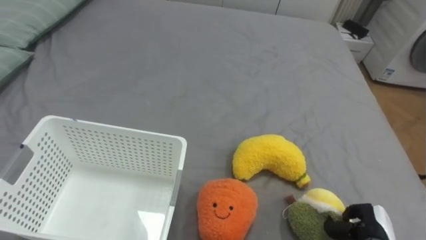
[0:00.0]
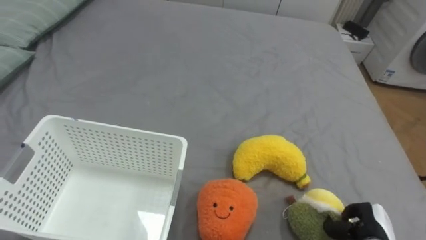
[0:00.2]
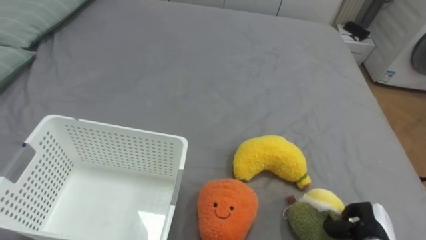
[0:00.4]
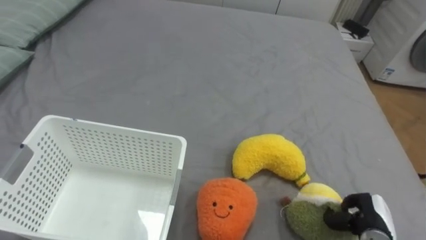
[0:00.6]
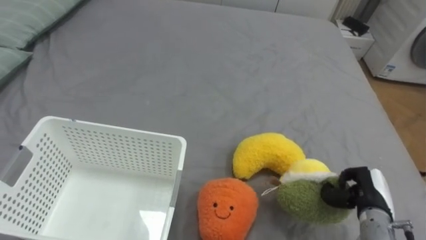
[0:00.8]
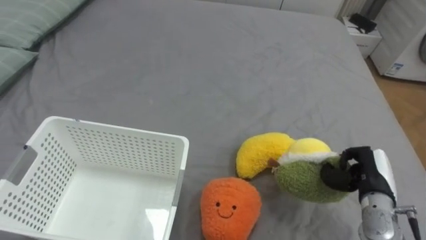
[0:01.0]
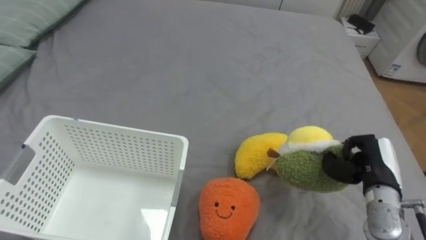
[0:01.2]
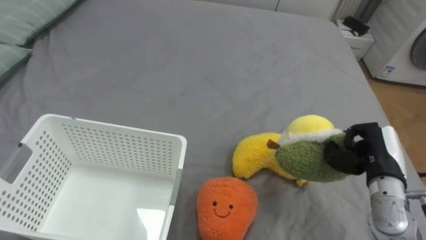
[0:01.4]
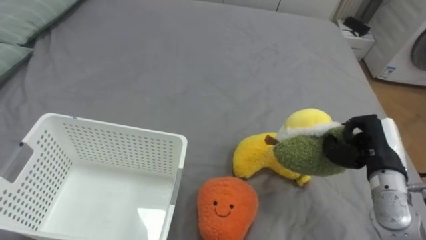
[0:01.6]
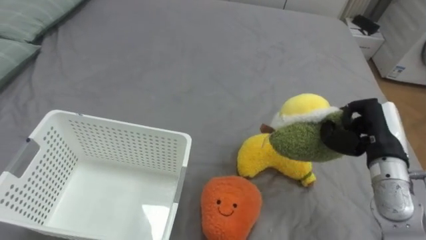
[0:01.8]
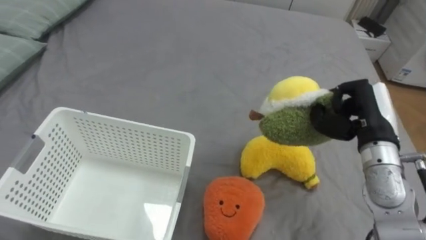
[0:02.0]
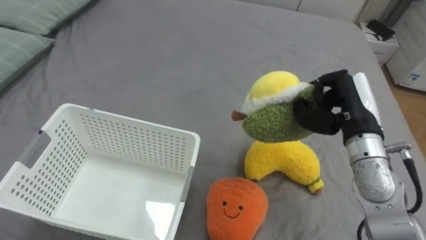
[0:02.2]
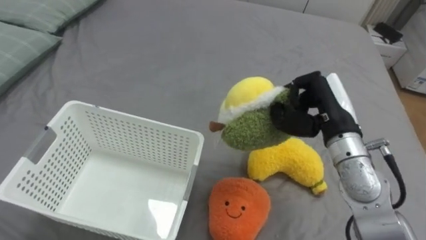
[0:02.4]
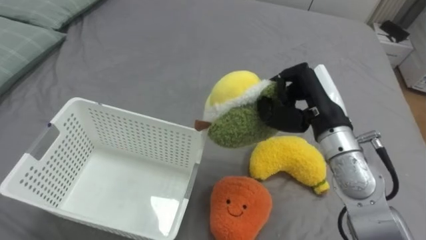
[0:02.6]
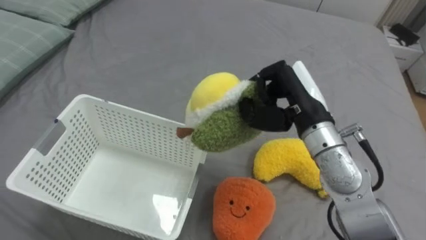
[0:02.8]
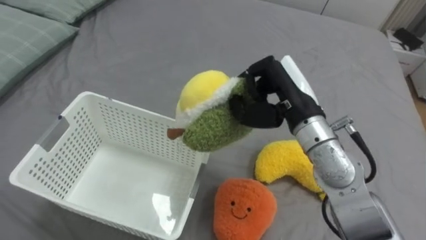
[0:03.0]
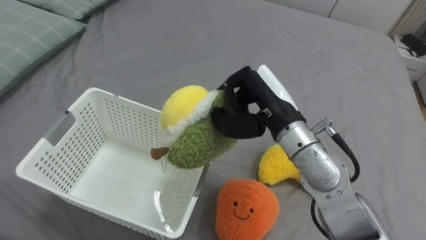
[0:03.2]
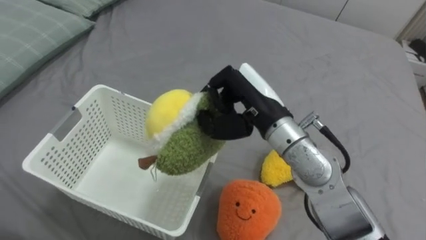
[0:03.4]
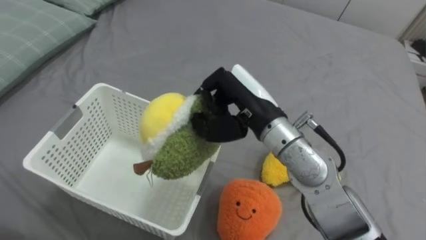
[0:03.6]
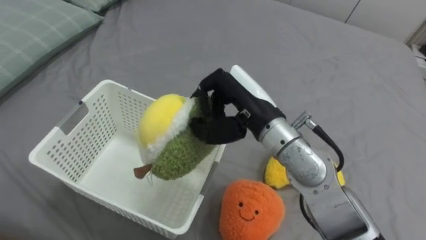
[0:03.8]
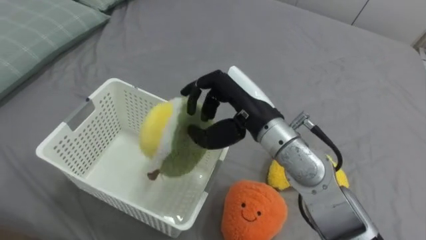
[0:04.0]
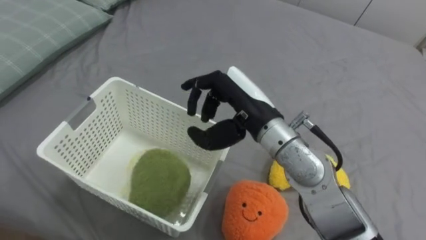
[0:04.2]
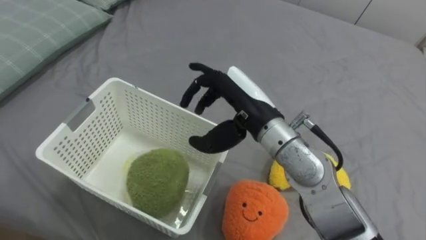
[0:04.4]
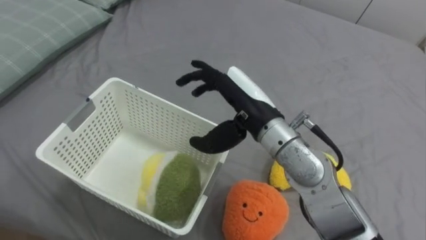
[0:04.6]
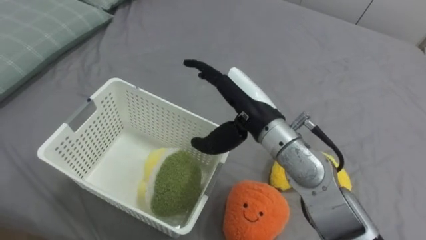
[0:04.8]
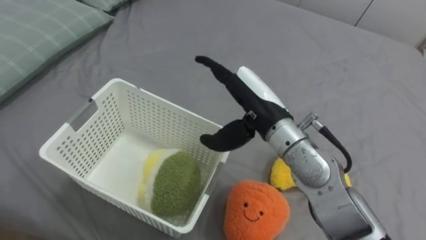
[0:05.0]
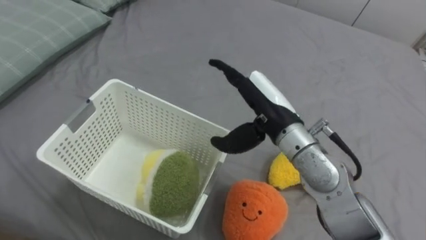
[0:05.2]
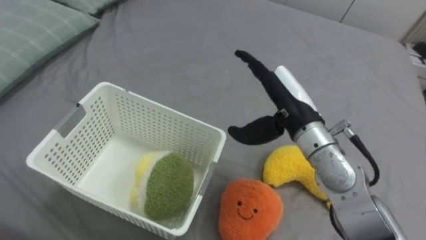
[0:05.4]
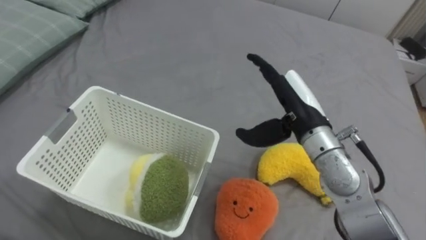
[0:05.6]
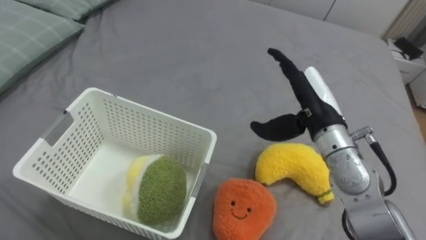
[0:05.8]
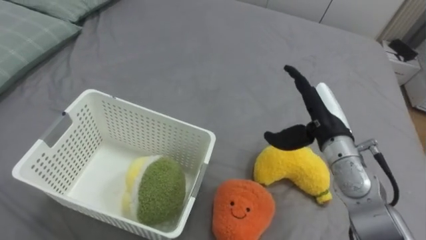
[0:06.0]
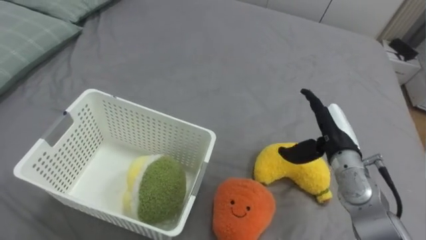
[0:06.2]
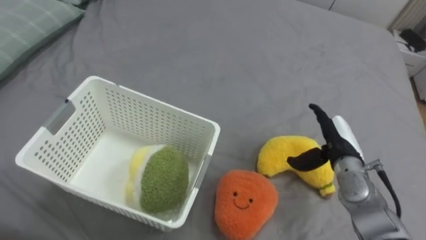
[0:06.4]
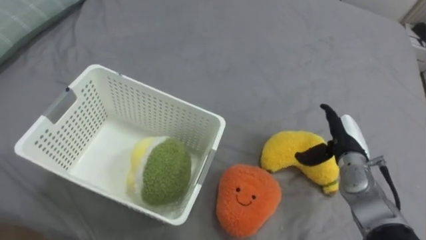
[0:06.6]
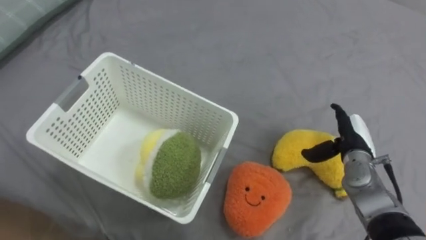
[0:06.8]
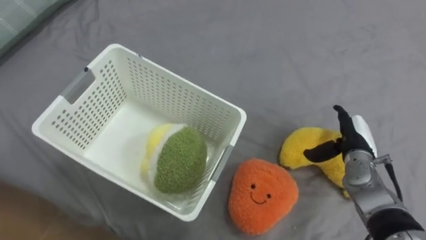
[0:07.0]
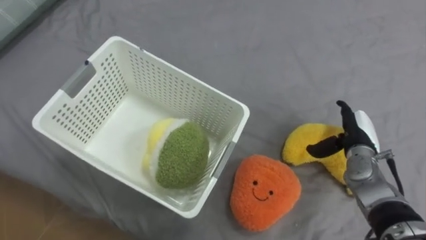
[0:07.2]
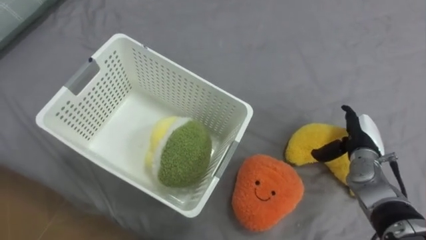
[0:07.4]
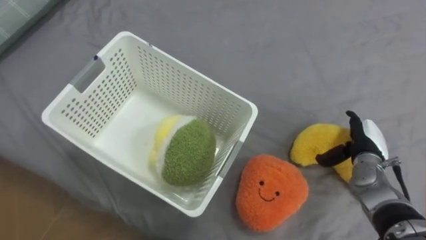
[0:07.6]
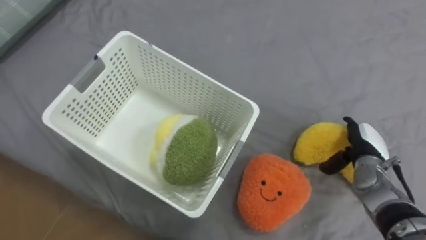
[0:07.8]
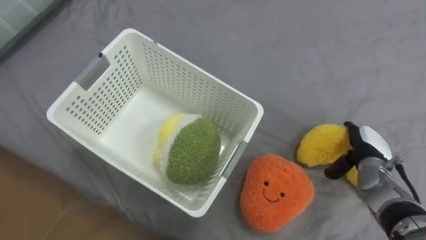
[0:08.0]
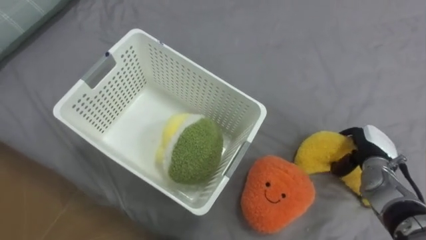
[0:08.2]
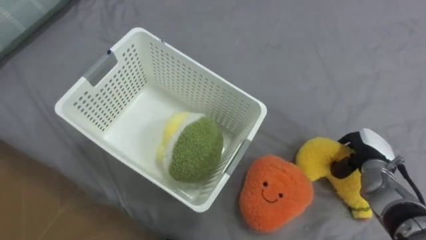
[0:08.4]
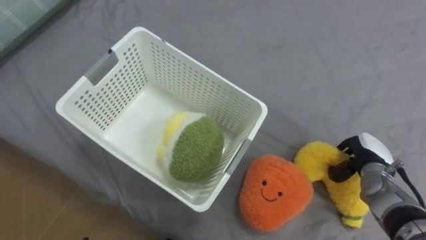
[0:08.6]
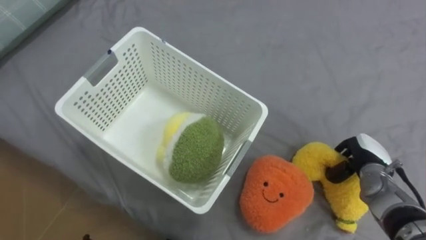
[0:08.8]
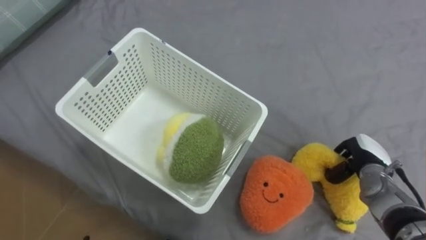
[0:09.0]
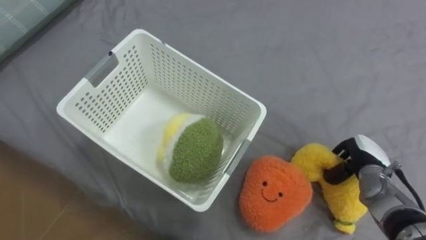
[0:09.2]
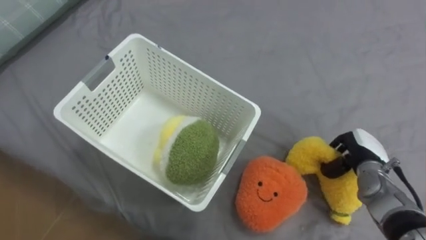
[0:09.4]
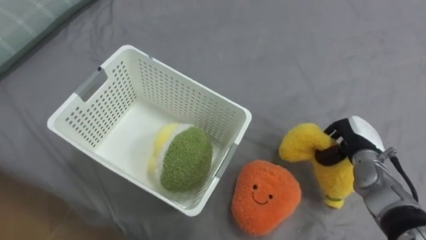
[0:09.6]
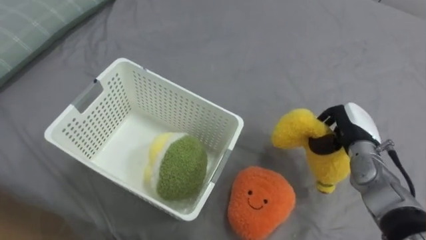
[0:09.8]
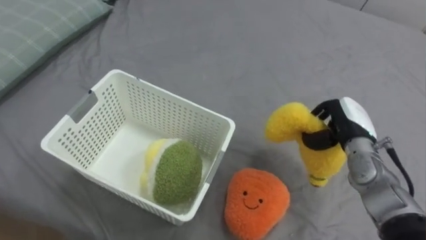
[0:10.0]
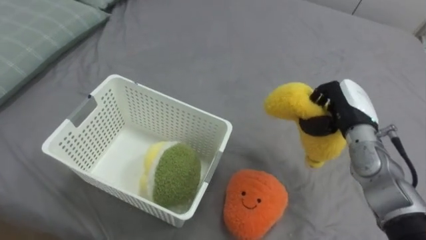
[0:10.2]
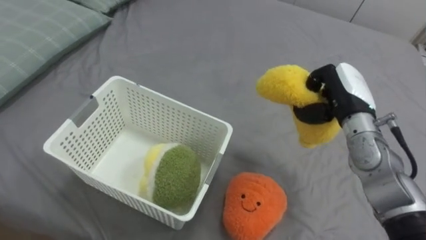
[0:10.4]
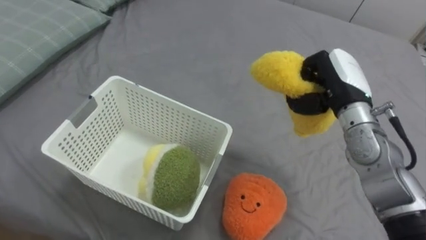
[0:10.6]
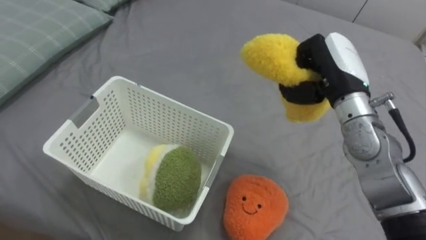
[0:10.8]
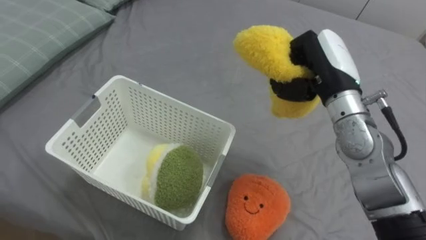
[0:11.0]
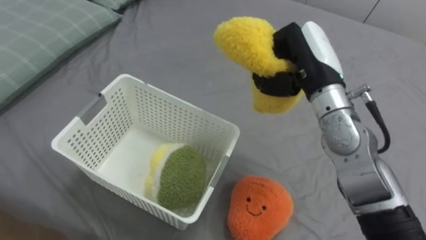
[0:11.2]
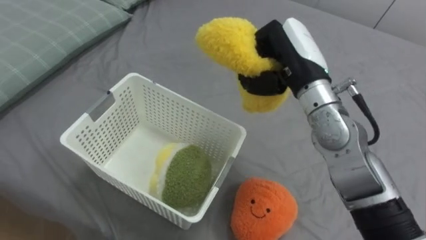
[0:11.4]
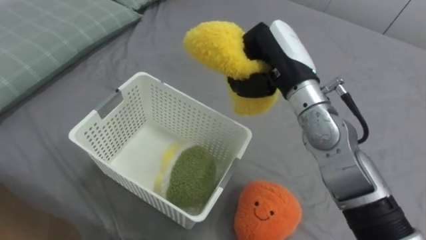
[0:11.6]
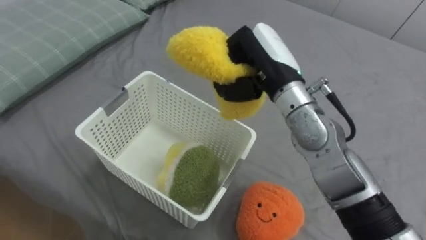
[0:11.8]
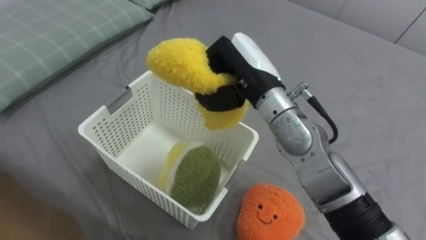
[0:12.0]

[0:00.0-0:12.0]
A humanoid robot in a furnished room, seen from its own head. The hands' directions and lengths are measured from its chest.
Task of the whole recording: Put the toys on the bed into the basket on the left.
0:00.0 to 0:01.6: The right hand shifts some 20 cm upward and forward.
0:01.6 to 0:03.0: The right hand moves to the left and upward, some 20 cm.
0:03.0 to 0:04.4: The right hand travels to the left by about 5 cm, and opens.
0:04.4 to 0:06.0: The right hand moves to the right, about 15 cm.
0:06.0 to 0:07.6: The right hand goes some 15 cm downward and to the right.
0:07.6 to 0:09.0: The right hand closes.
0:09.0 to 0:10.4: The right hand moves upward and to the left, approximately 15 cm.
0:10.4 to 0:12.0: The right hand shifts roughly 20 cm to the left and upward.

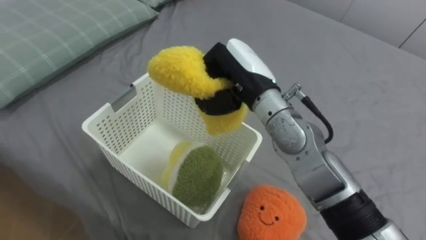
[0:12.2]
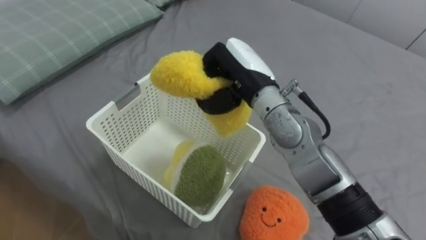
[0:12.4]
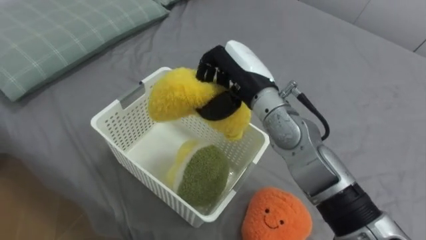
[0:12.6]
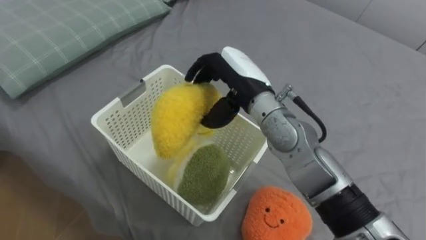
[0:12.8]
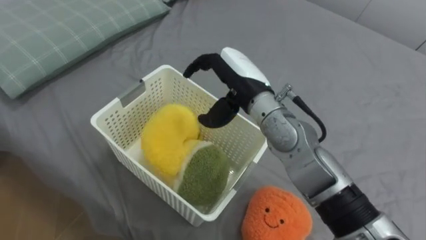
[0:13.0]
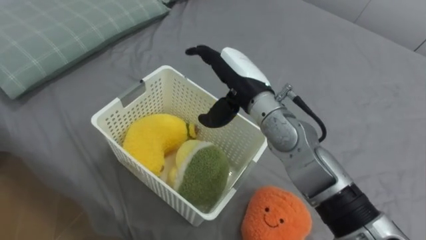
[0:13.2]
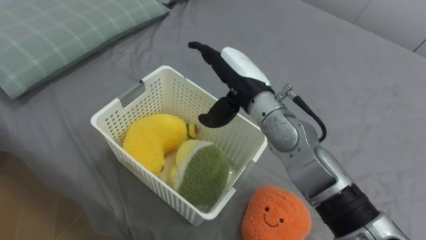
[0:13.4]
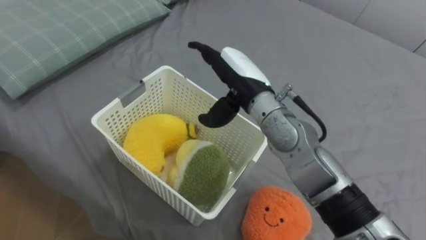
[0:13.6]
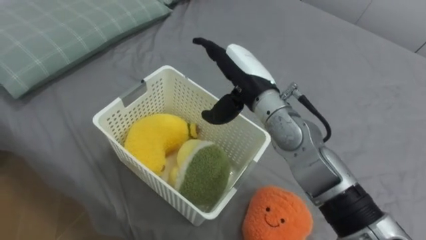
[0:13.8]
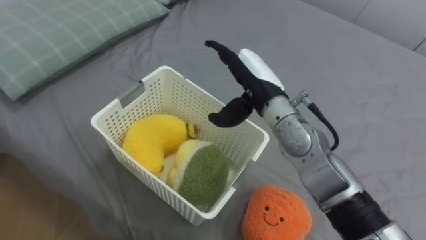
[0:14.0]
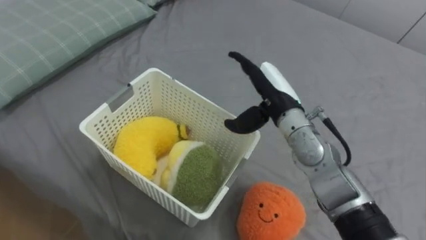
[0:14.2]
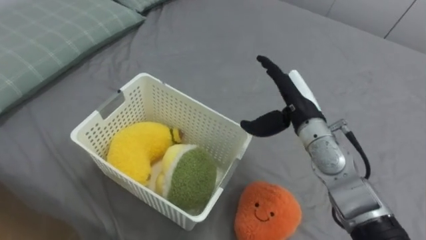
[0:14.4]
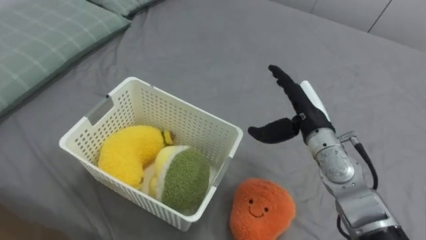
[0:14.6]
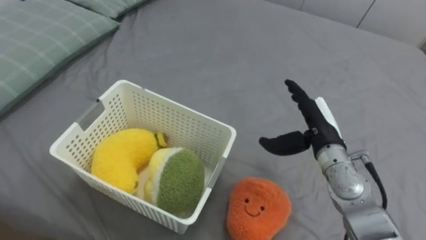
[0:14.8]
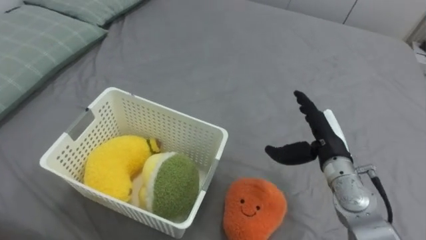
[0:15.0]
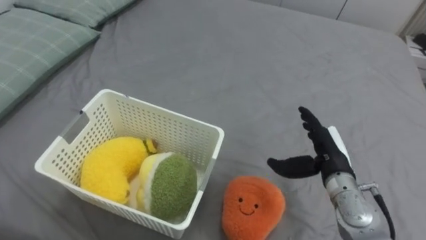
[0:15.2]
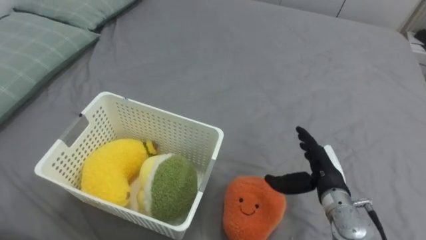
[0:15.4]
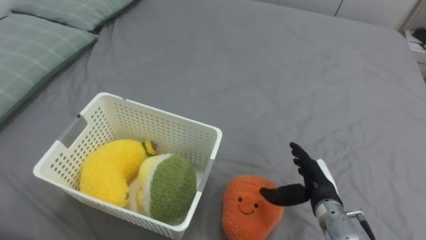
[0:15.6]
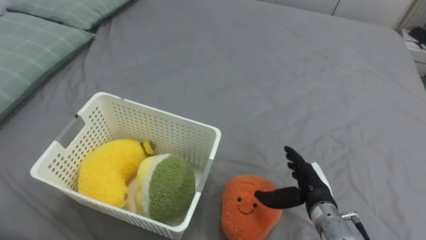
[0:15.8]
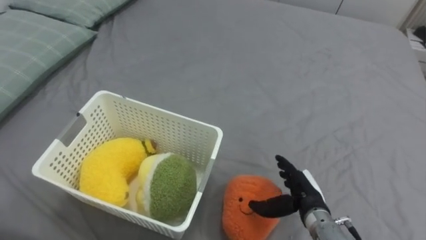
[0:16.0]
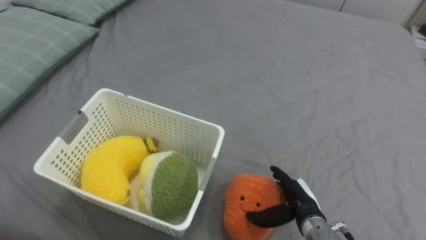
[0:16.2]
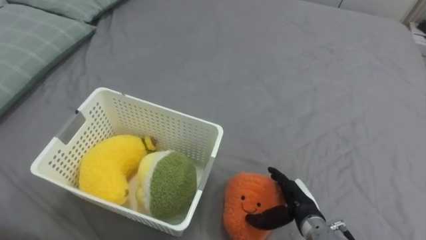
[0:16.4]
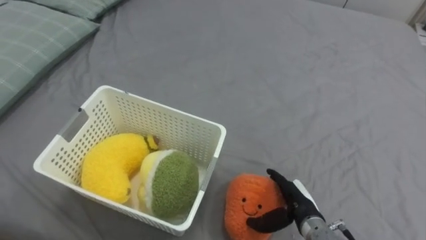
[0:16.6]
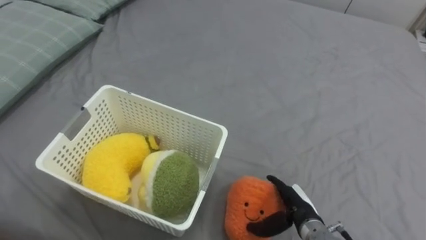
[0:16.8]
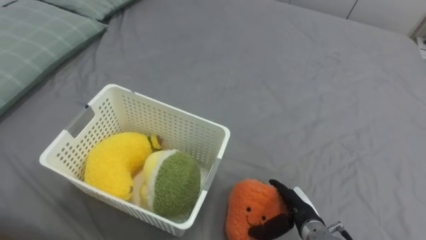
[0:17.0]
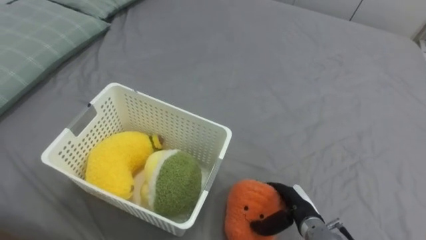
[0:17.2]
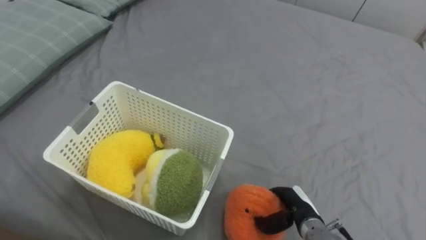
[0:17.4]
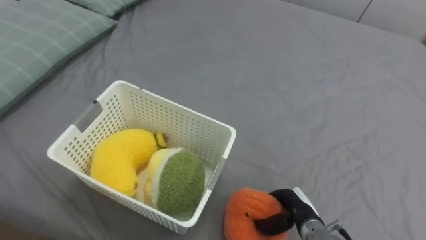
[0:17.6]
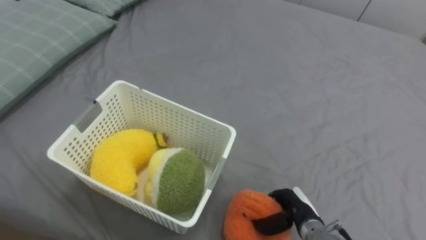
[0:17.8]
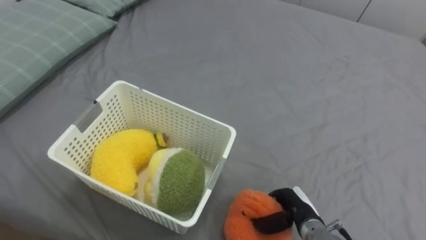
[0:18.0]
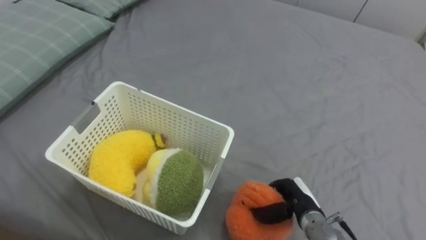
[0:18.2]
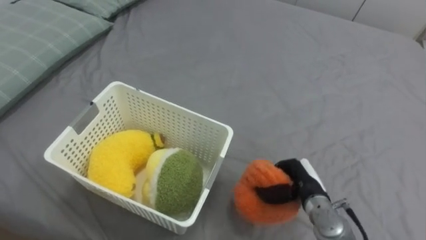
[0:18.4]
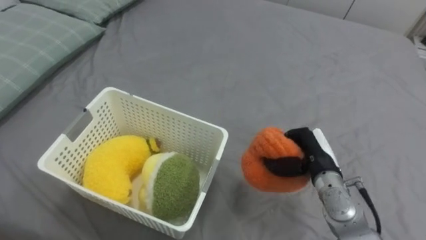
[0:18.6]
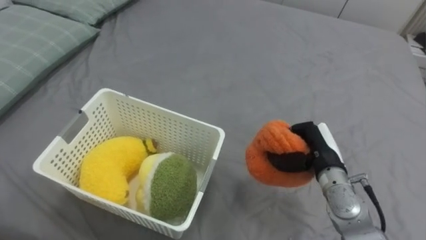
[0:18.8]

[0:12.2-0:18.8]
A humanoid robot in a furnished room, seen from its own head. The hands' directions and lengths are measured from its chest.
Task of the whole recording: Put the toys on the bed into the basket on the left.
0:12.2 to 0:13.8: The right hand opens up.
0:13.8 to 0:15.4: The right hand shifts about 25 cm to the right, downward and backward.
0:15.4 to 0:17.2: The right hand goes approximately 10 cm downward.
0:17.2 to 0:18.8: The right hand shifts some 15 cm upward and forward, and closes its fingers.
